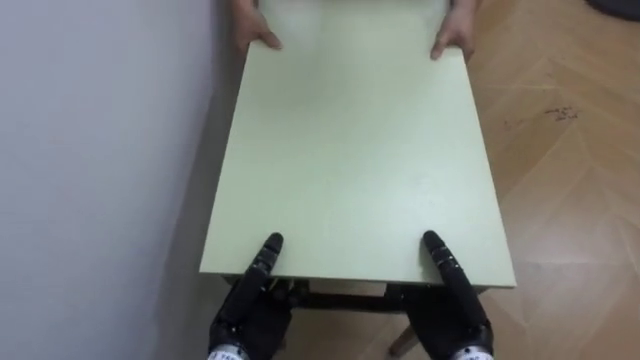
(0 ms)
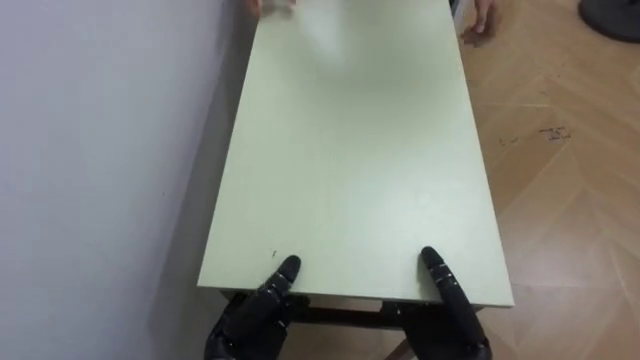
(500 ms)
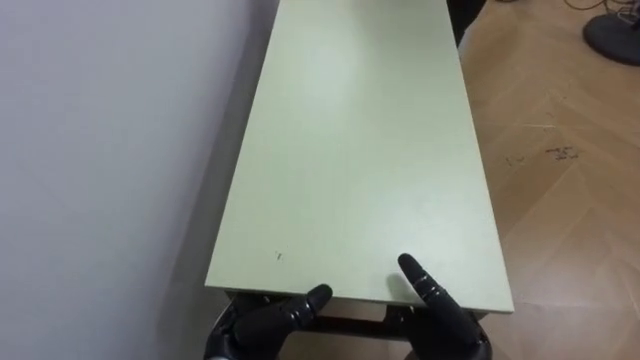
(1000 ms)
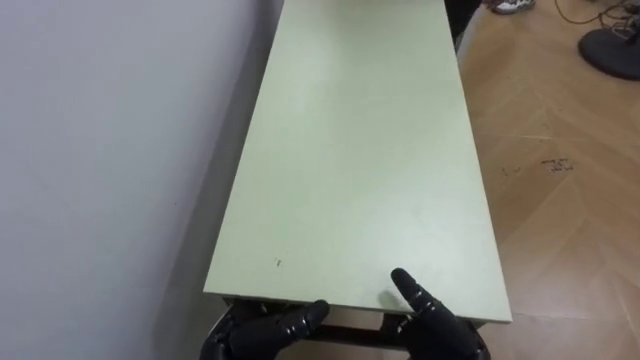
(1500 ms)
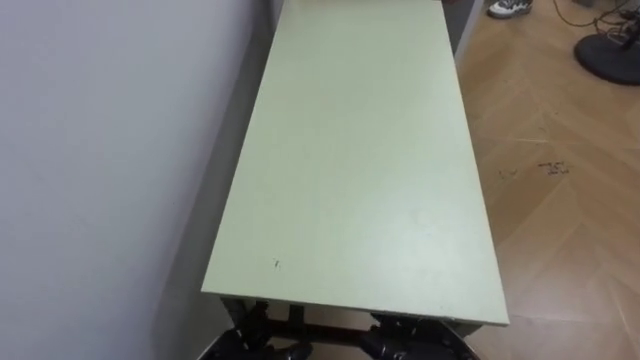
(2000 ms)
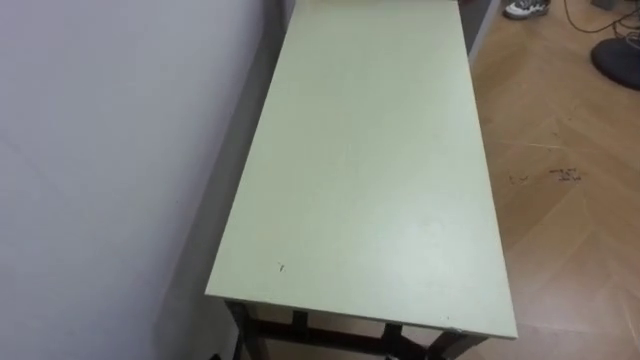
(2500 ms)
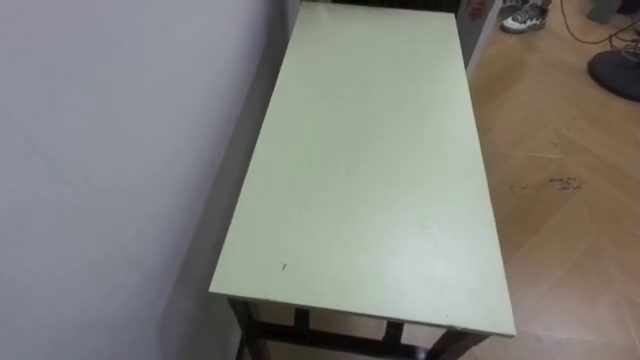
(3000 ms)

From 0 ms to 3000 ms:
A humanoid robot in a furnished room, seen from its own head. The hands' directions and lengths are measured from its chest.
Task of the whole recording: Move the table to the back left with someone.
From 0 ms to 1500 ms: The right hand opens its fingers, while the left hand opens up.

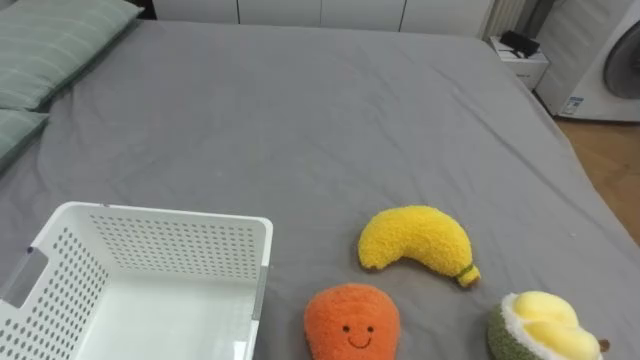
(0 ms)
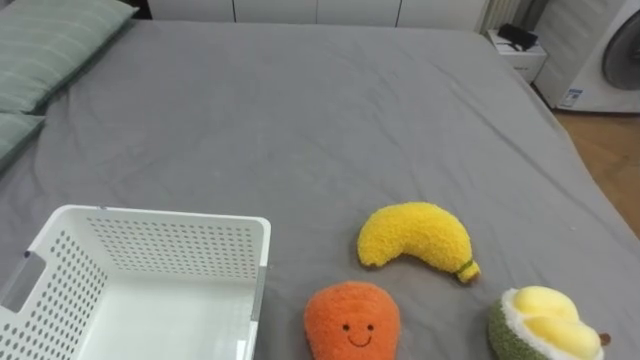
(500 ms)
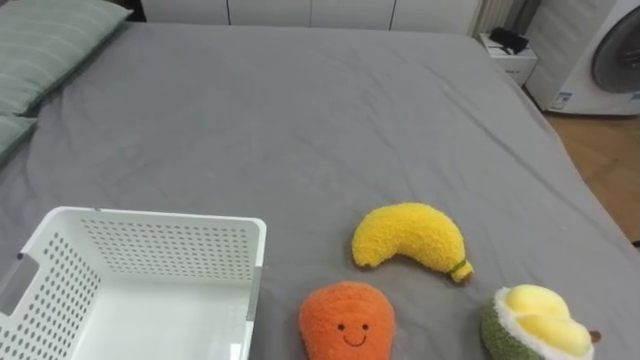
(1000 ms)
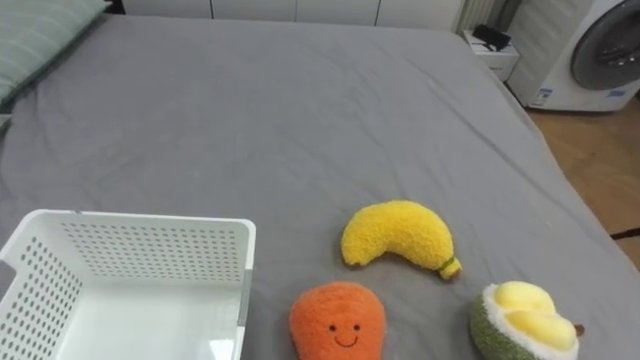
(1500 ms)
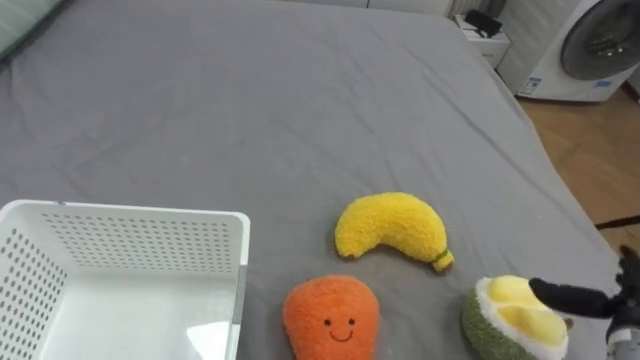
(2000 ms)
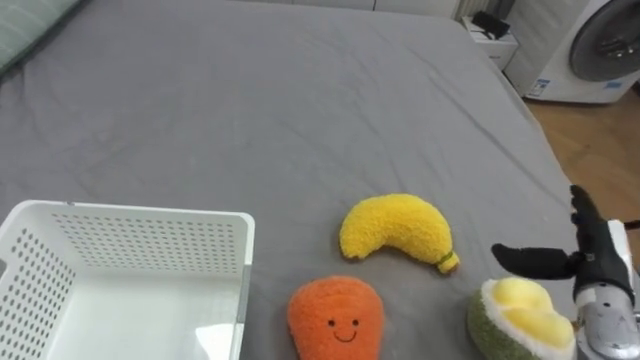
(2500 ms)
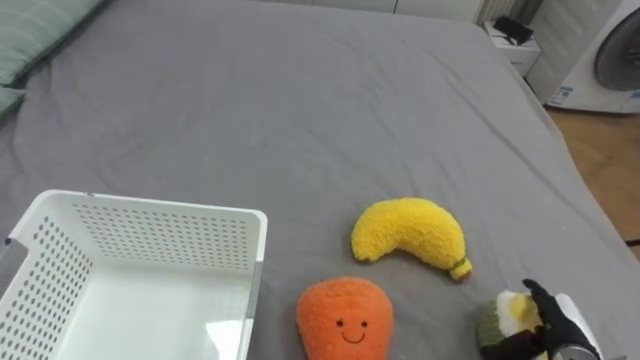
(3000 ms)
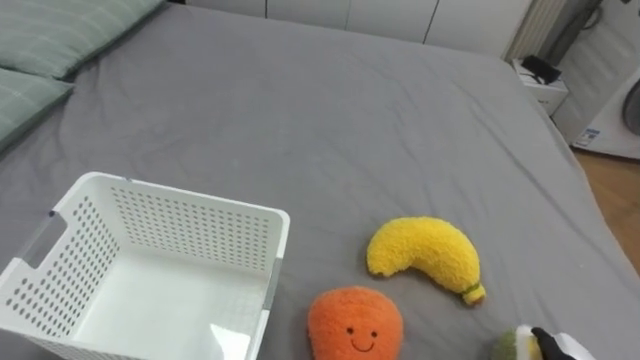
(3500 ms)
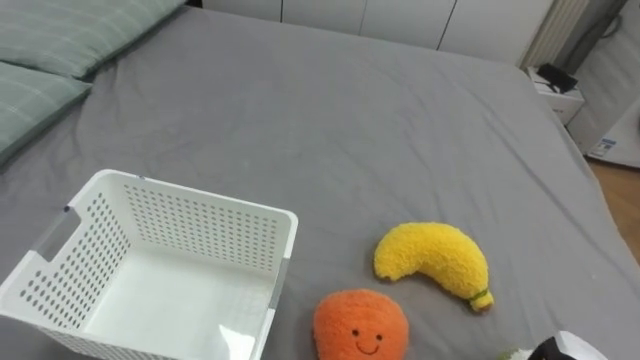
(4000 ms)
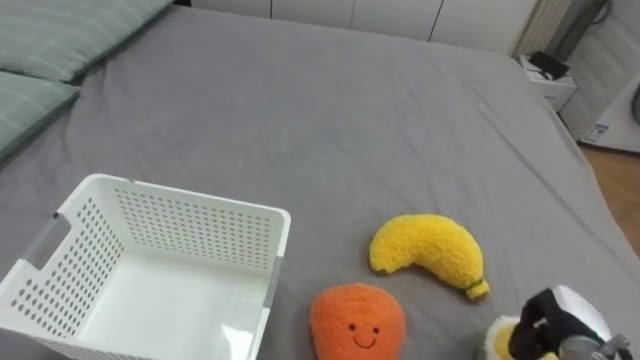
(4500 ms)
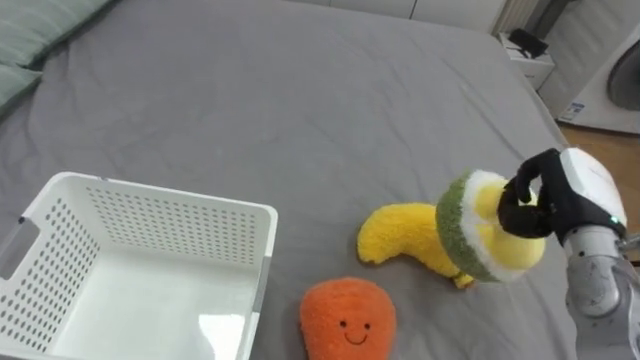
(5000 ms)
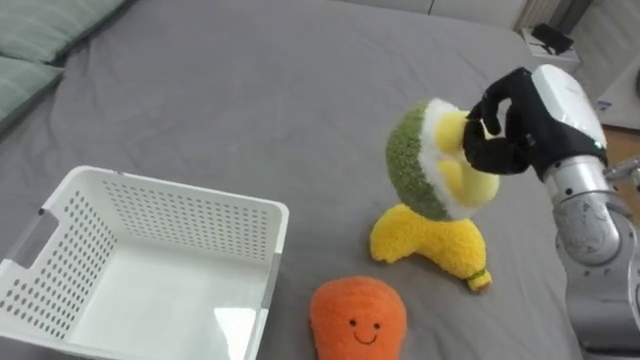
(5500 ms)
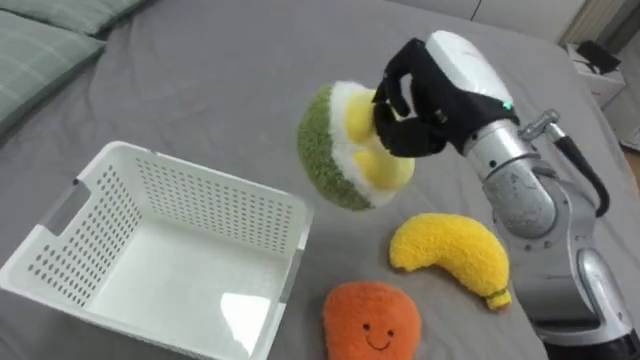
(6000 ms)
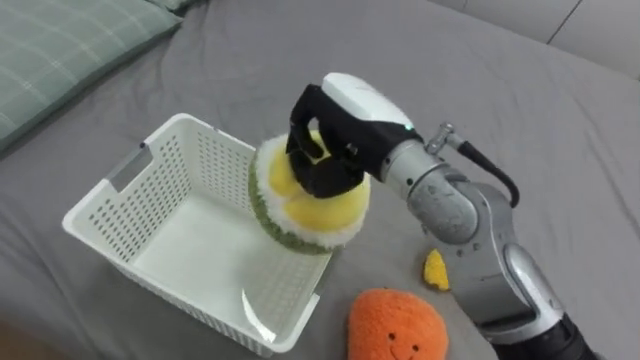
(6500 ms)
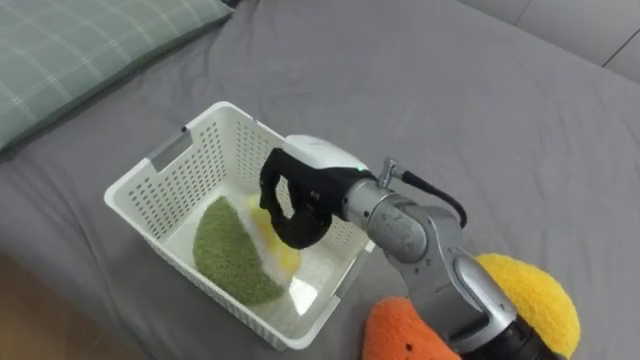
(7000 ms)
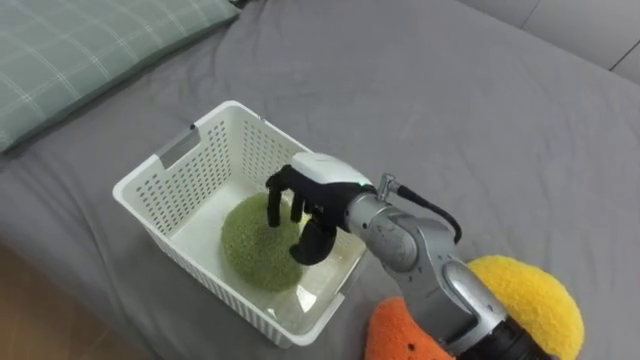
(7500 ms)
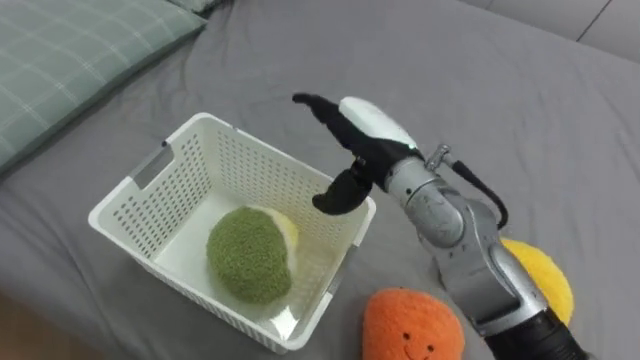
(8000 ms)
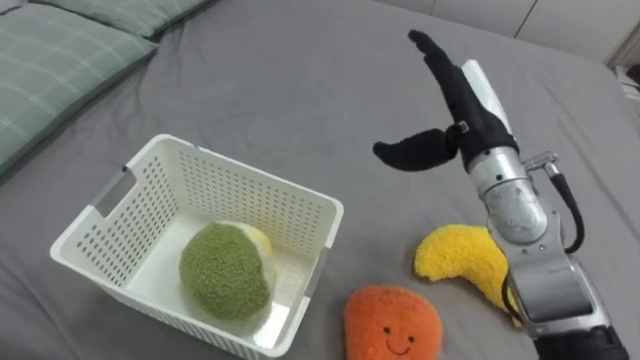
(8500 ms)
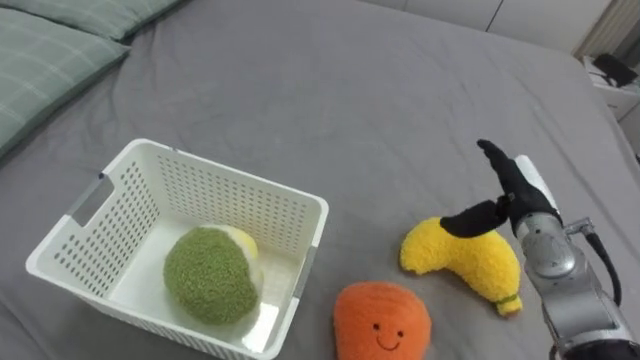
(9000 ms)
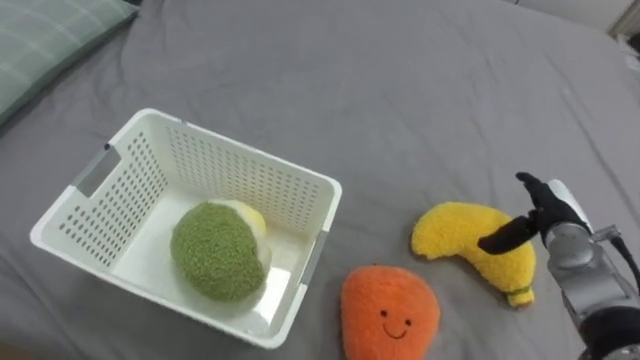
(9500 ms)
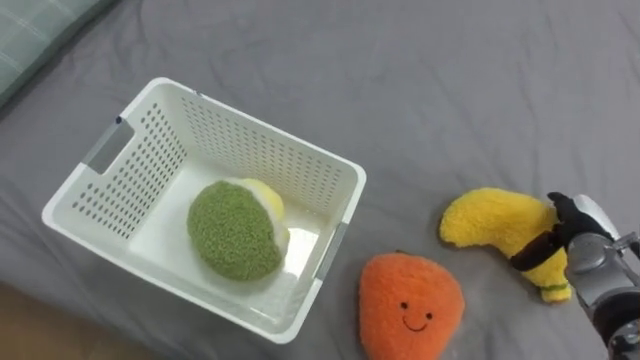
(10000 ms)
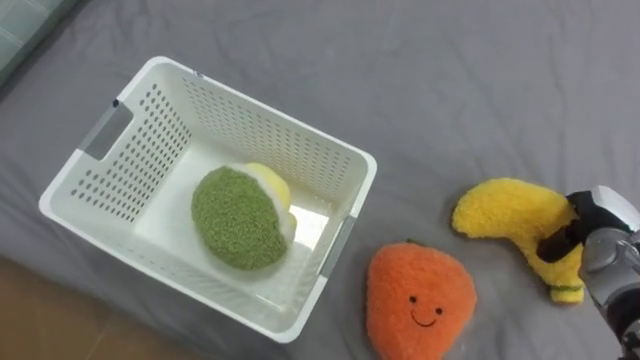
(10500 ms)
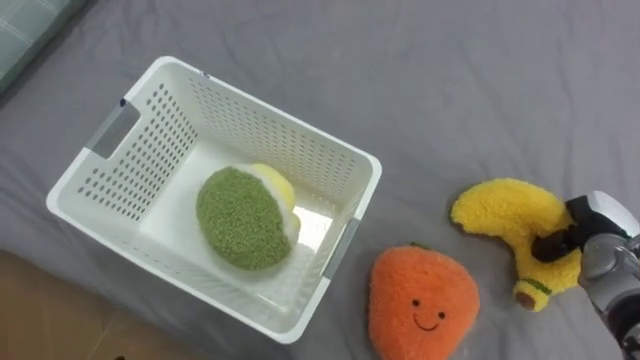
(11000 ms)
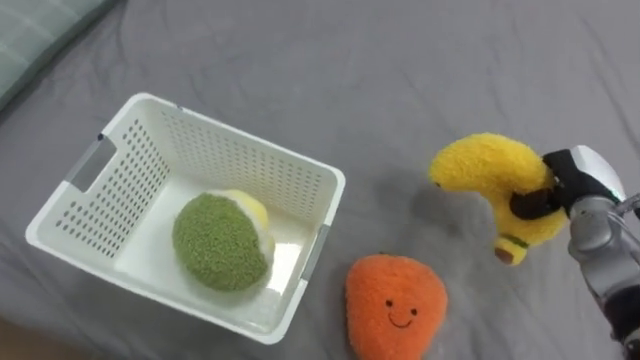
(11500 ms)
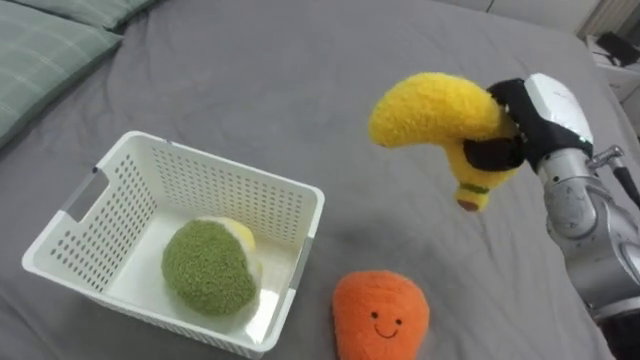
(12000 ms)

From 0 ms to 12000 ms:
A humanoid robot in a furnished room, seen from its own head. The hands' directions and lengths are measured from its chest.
Task of the whole recording: Put the toys on the bed into the basket on the left.
From 6000 ms to 8000 ms: The right hand travels to the left and downward by roughly 10 cm, and opens its fingers.
From 8000 ms to 10000 ms: The right hand moves to the right and downward, some 35 cm.
From 10000 ms to 12000 ms: The right hand shifts some 20 cm upward and to the left, and closes up.

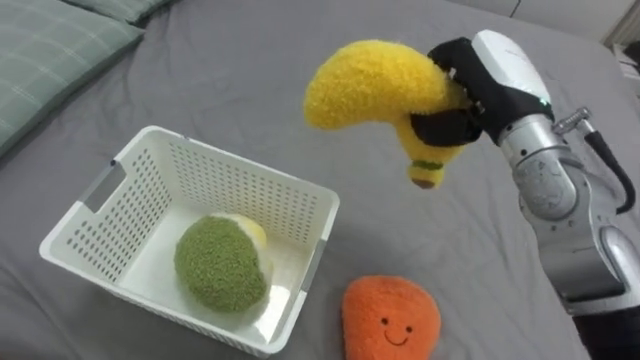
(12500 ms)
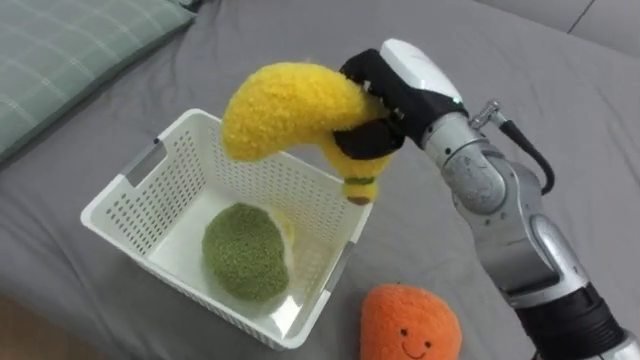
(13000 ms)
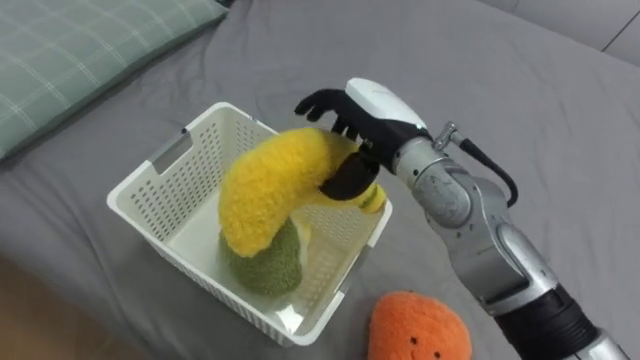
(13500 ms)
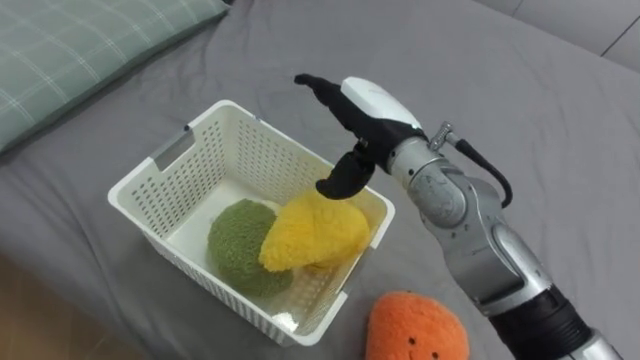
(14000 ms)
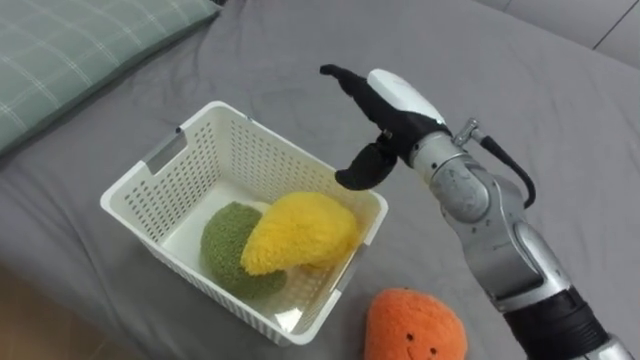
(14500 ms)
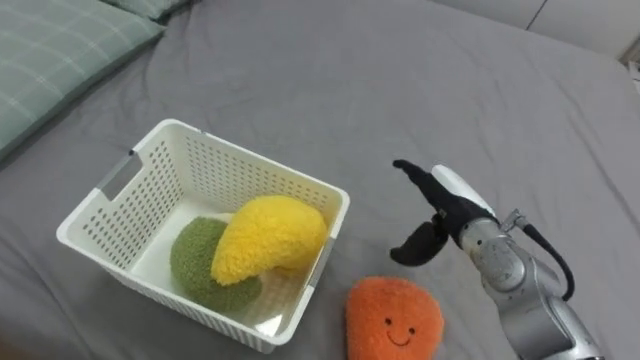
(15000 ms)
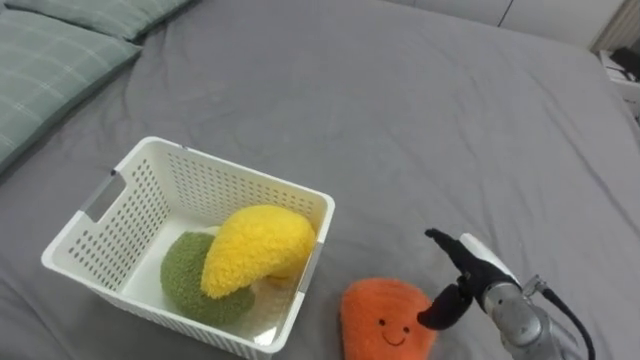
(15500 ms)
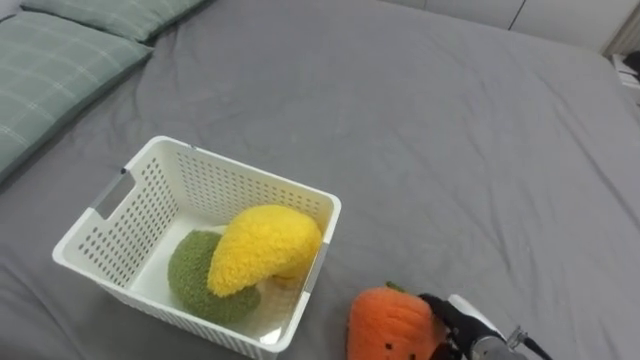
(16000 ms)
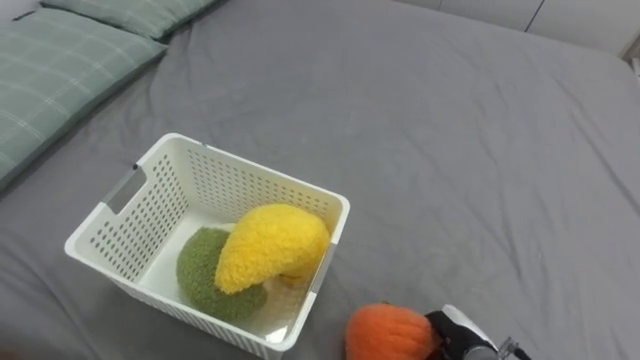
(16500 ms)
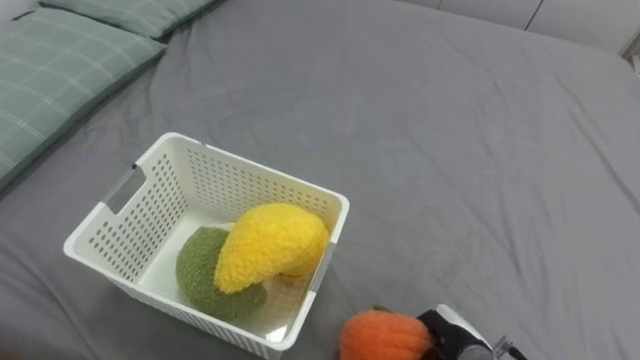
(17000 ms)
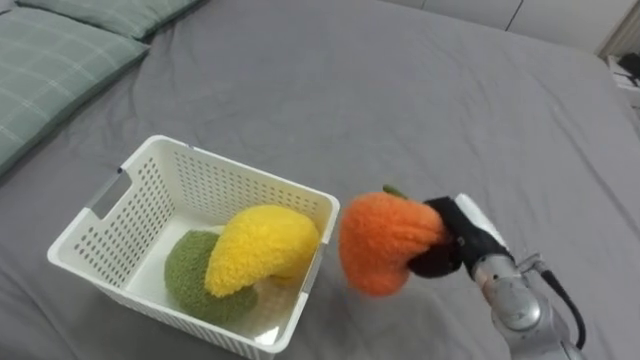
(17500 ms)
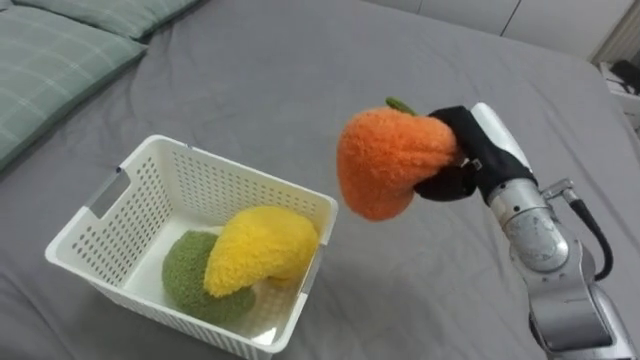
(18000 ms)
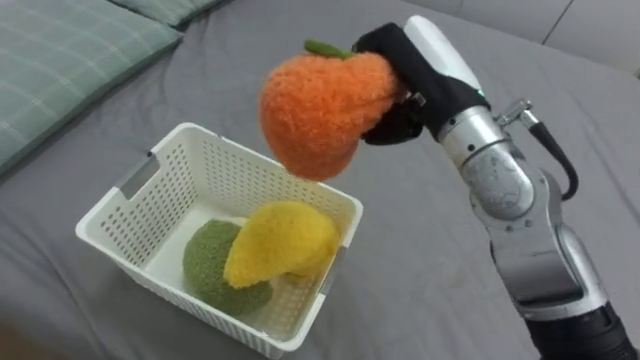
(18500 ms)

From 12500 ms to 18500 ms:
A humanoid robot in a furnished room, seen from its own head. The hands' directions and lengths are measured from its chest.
Task of the whole recording: Put the toys on the bed into the basket on the left.
From 12500 ms to 14500 ms: The right hand shifts approximately 10 cm to the left, and opens its fingers.
From 14500 ms to 16500 ms: The right hand travels downward and backward by some 35 cm, and closes up.
From 16500 ms to 18500 ms: The right hand is displaced upward and forward by approximately 35 cm.
